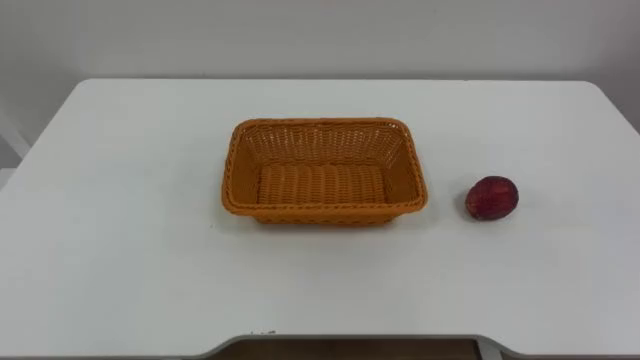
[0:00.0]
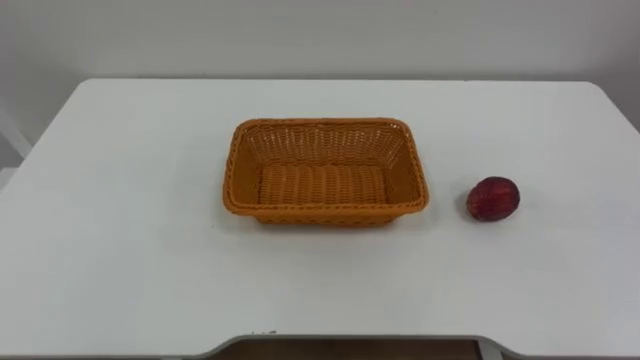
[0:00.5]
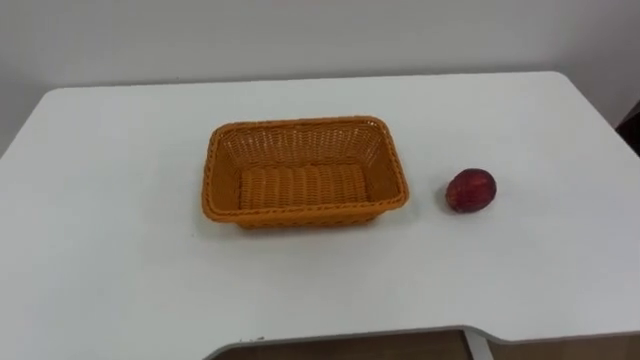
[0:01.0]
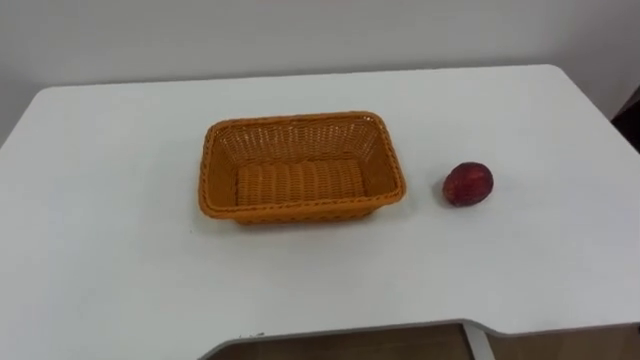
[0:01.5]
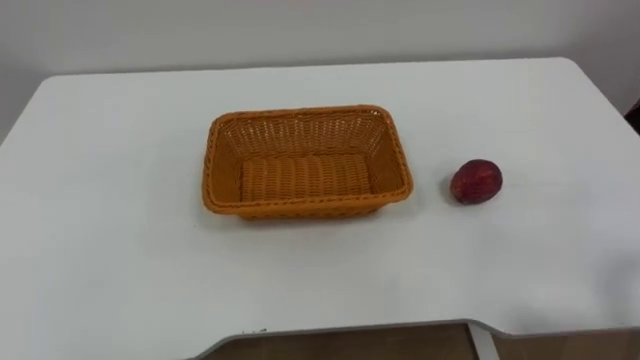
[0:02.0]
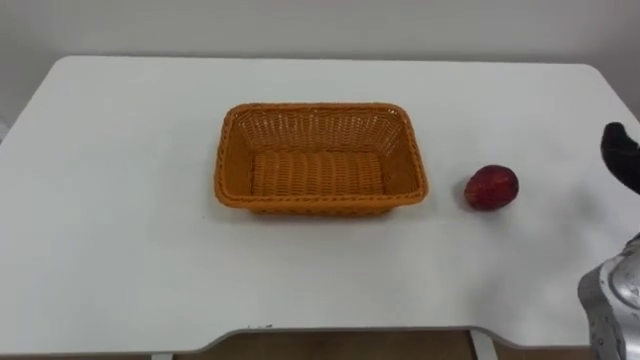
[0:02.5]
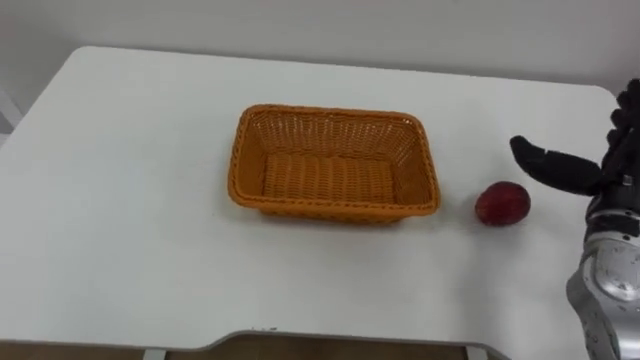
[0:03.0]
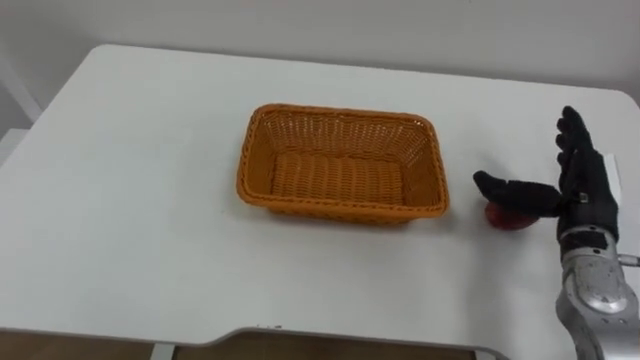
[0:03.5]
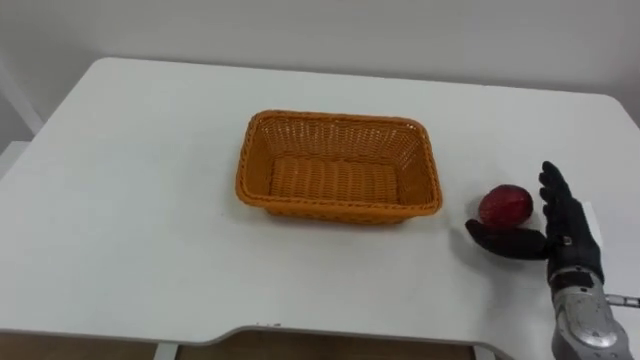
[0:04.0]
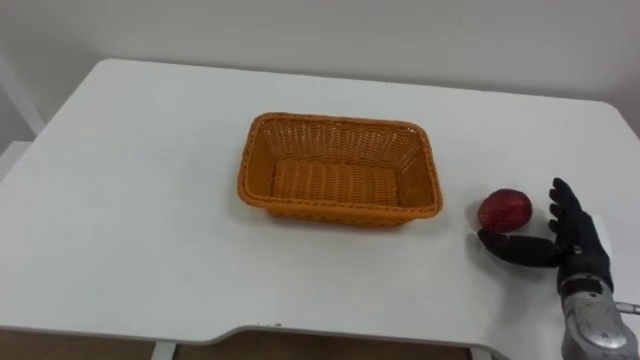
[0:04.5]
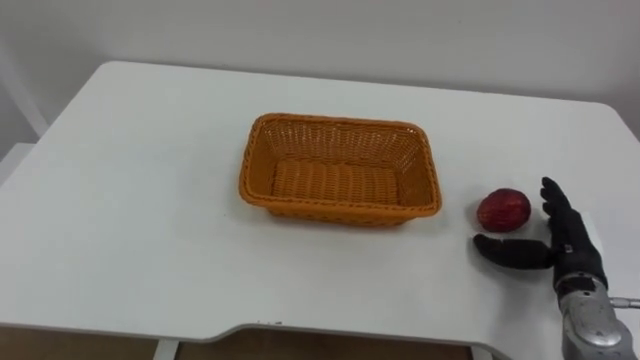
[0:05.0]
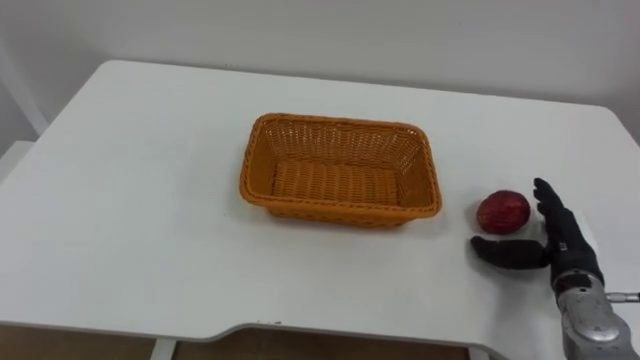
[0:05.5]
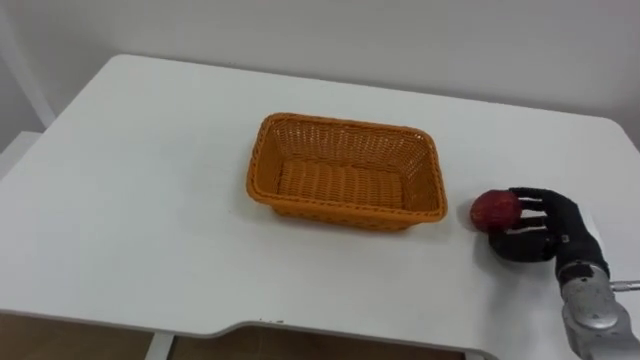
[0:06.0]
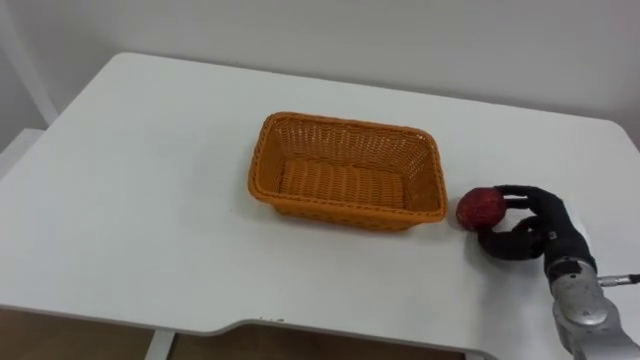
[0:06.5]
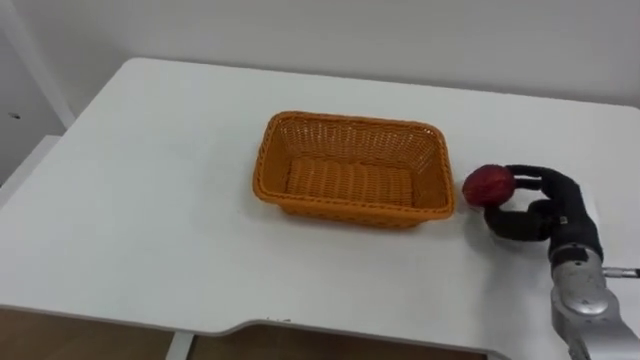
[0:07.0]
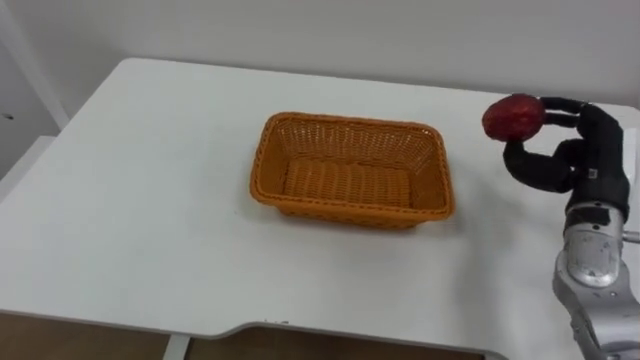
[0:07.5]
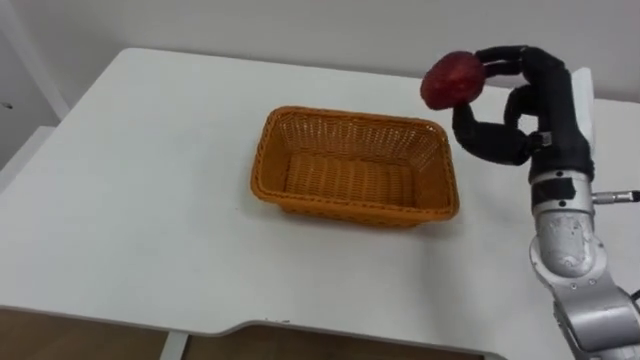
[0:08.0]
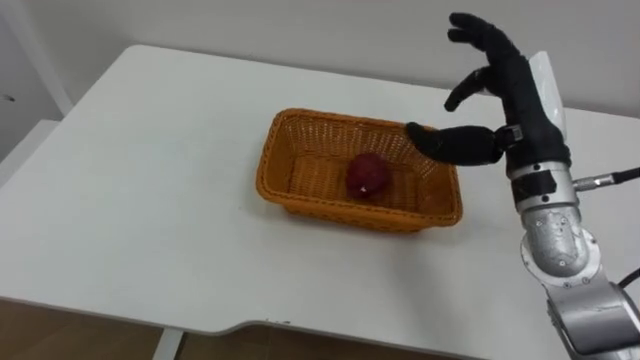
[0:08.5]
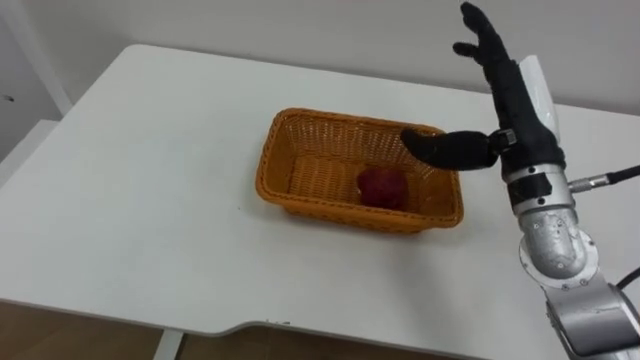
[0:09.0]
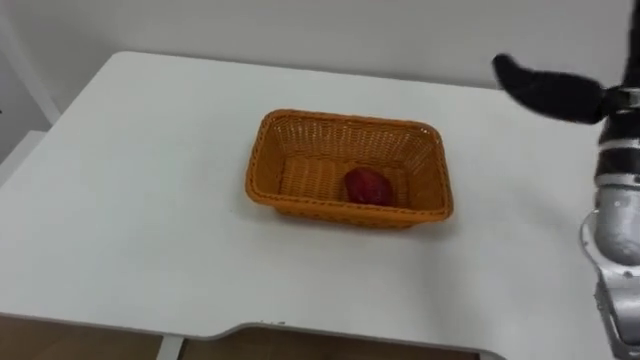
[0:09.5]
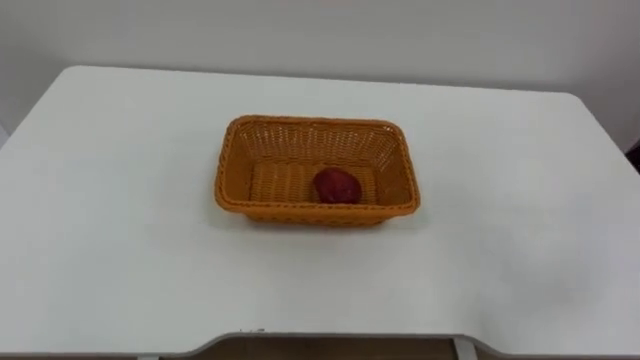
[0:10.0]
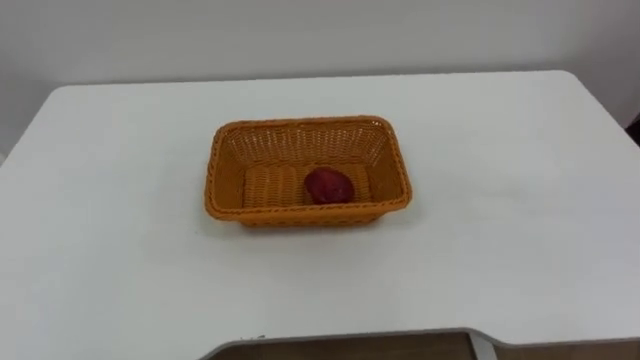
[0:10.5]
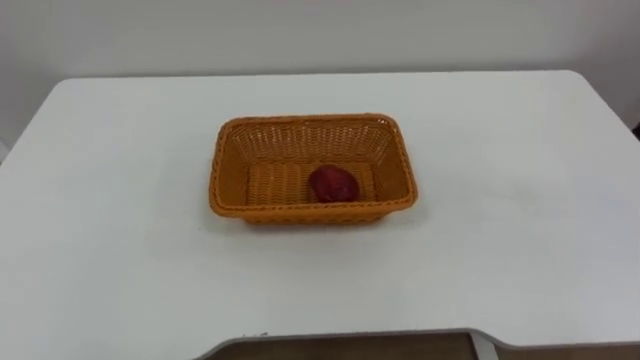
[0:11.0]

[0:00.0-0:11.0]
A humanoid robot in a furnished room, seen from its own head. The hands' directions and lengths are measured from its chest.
Task of the whole recording: Pick the apple and place it in the box.
0:03.5 to 0:05.5: The right hand moves downward, roughly 10 cm.
0:05.5 to 0:07.5: The right hand goes some 10 cm upward, and closes.
0:07.5 to 0:09.0: The right hand heads to the left and upward, covering approximately 15 cm, and opens its fingers.

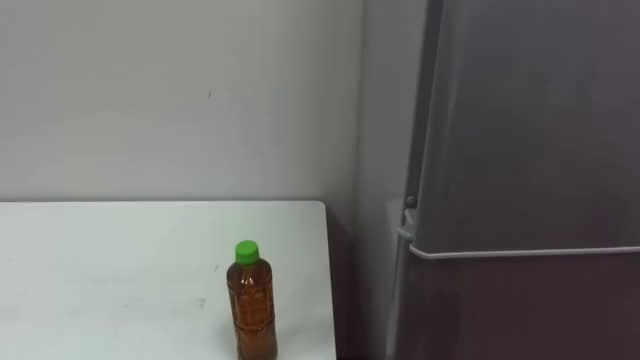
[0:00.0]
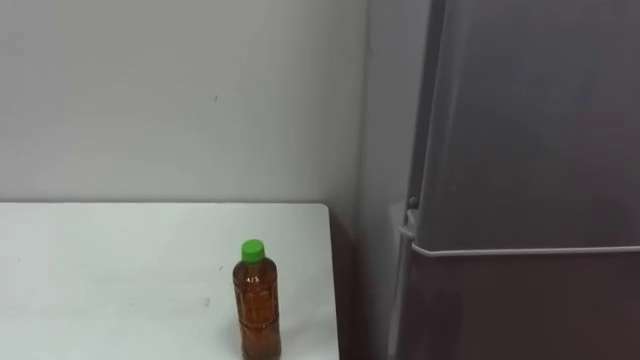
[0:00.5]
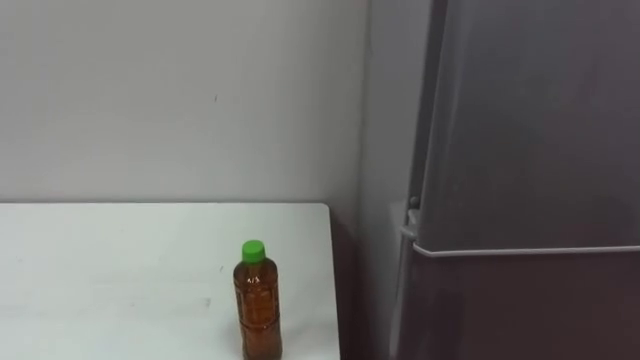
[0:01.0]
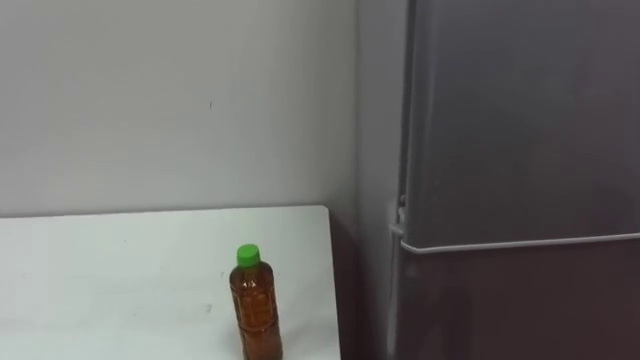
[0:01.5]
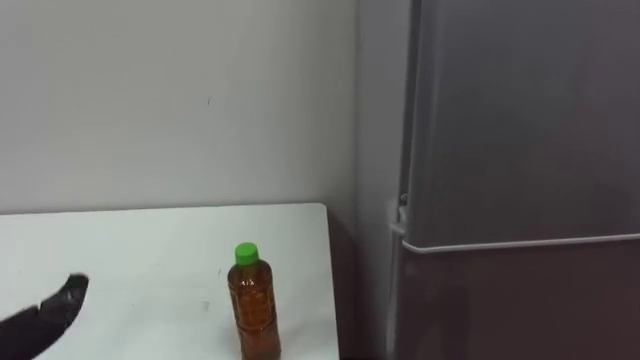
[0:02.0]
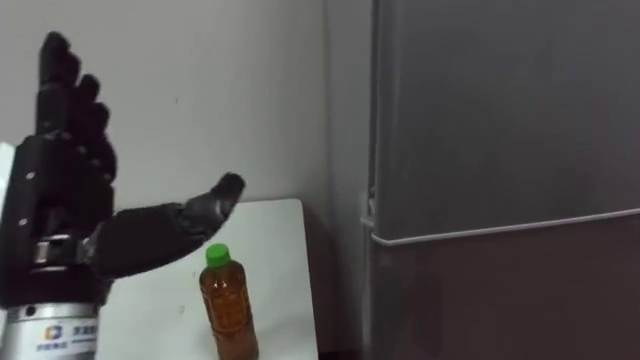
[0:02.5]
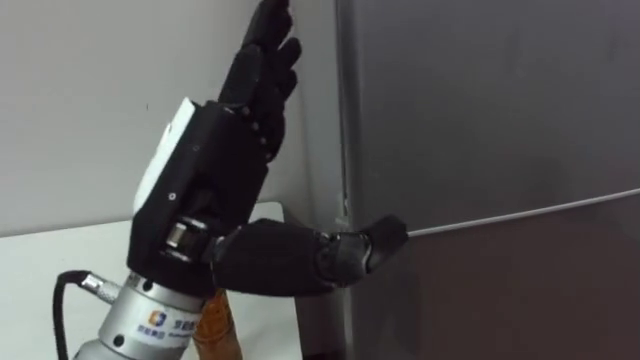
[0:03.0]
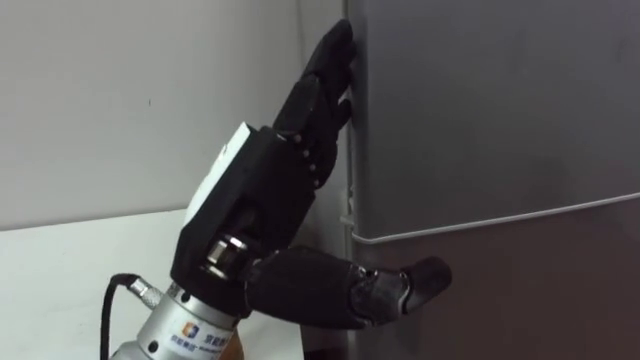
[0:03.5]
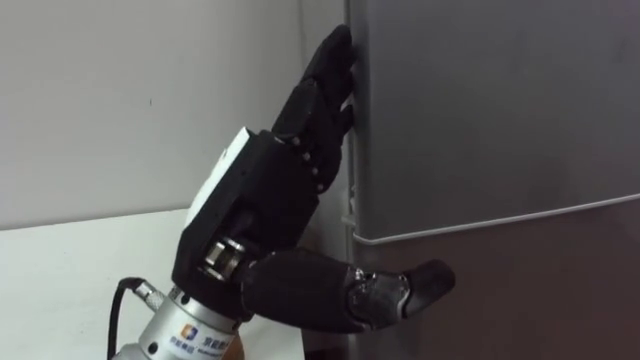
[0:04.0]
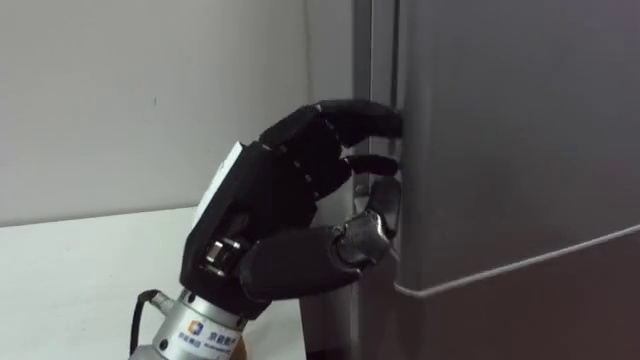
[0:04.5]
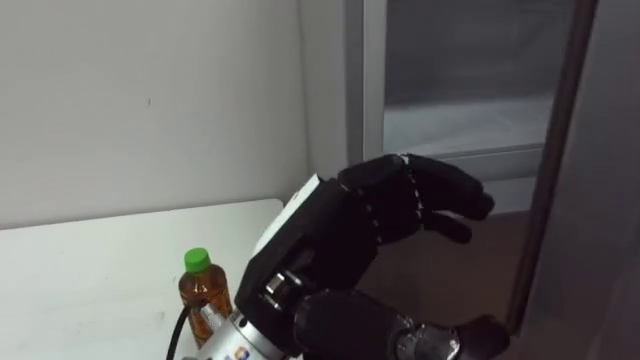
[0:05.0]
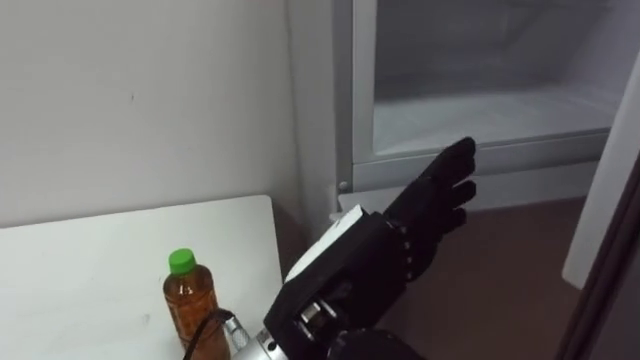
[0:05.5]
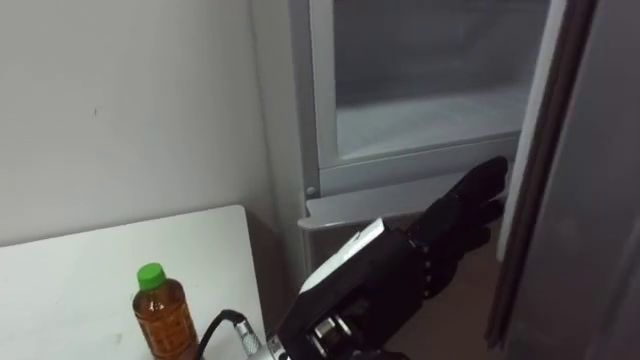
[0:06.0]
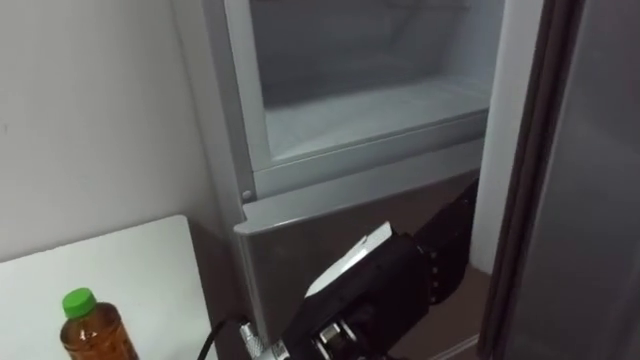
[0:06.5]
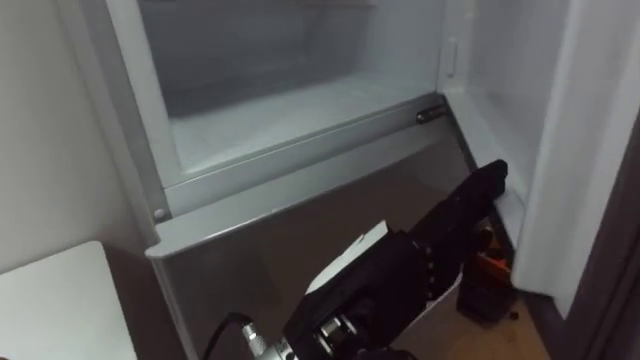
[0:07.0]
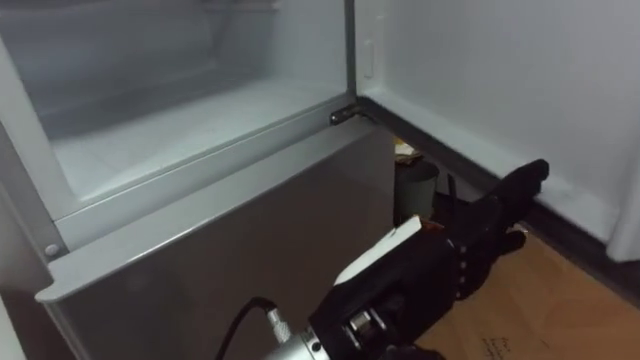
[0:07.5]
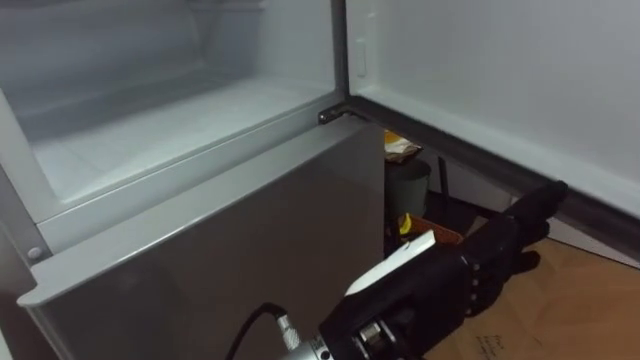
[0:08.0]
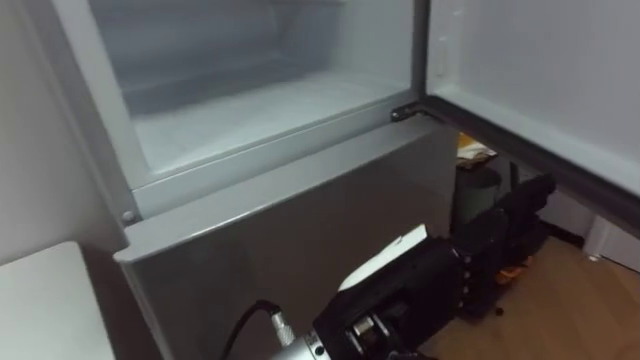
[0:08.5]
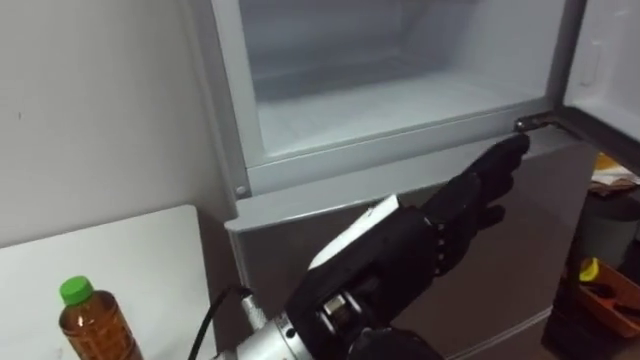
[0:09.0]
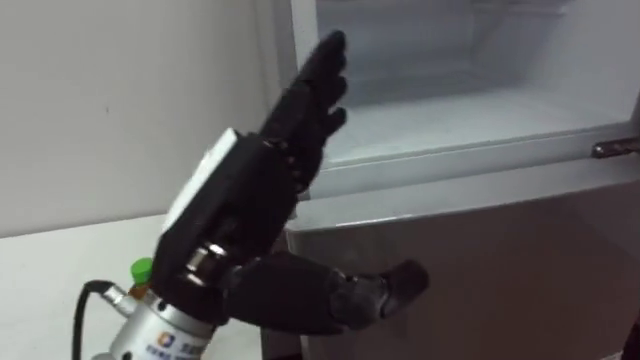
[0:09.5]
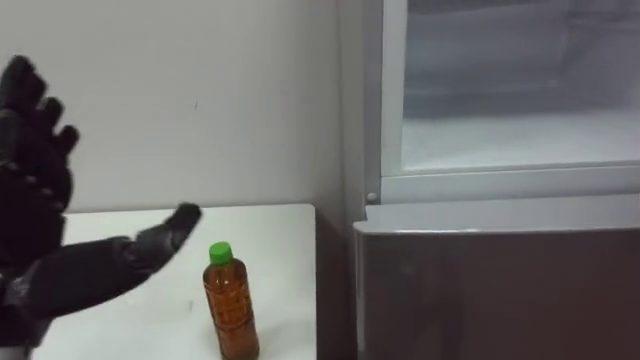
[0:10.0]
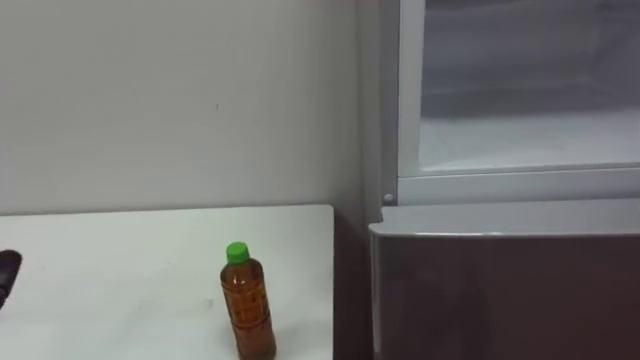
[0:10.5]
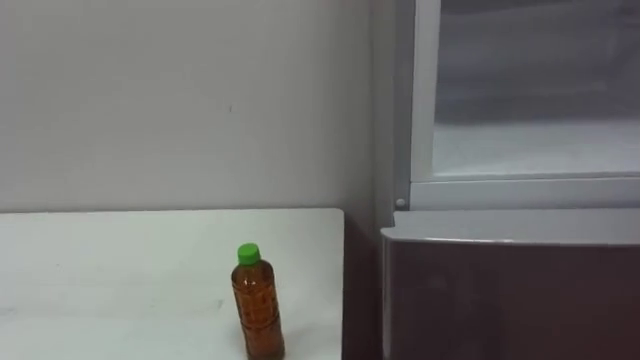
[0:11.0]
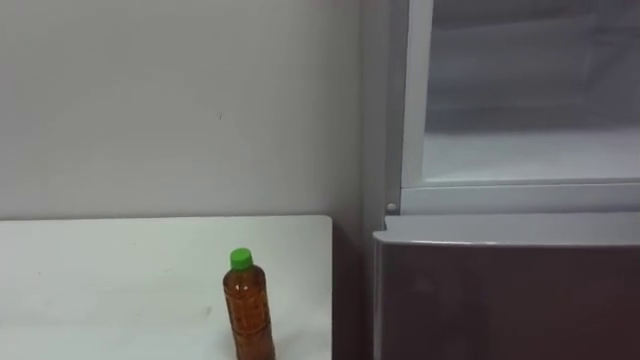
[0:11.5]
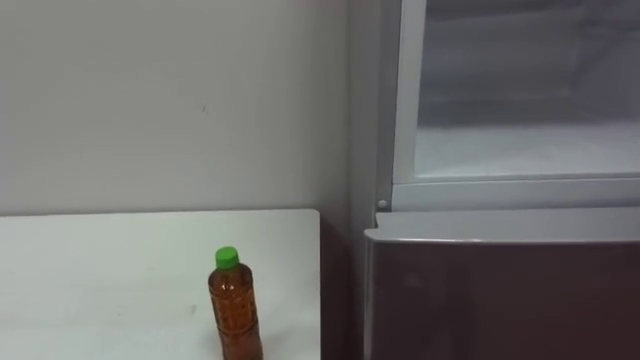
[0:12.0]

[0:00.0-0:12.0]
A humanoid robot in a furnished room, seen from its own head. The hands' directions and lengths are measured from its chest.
Task of the whole recording: Open the upper refrigerator door, put the drink from the table into the refrigerator, and then close the refrigerator door.
0:04.0 to 0:06.0: The left hand is displaced to the right by roughly 5 cm, and closes, then opens again.
0:08.0 to 0:10.0: The left hand heads to the left, covering roughly 25 cm.
